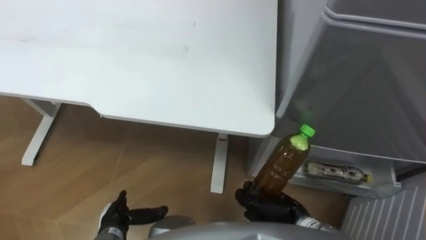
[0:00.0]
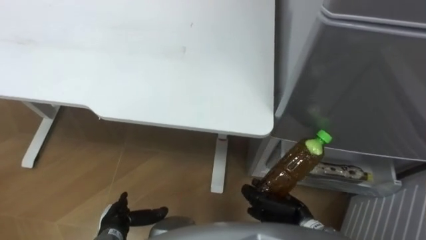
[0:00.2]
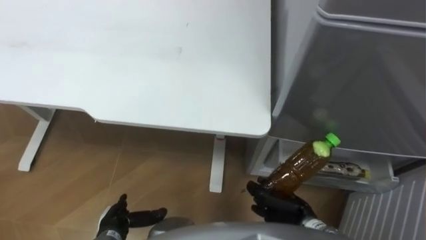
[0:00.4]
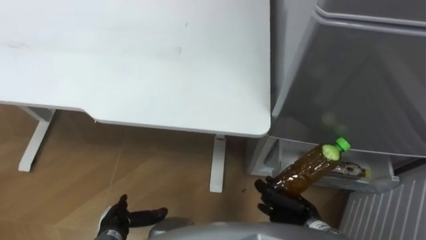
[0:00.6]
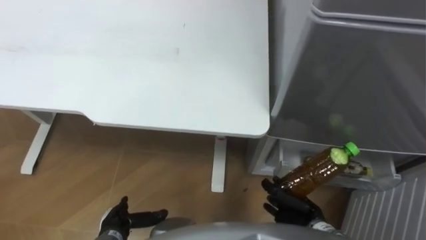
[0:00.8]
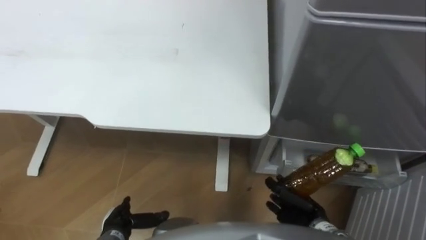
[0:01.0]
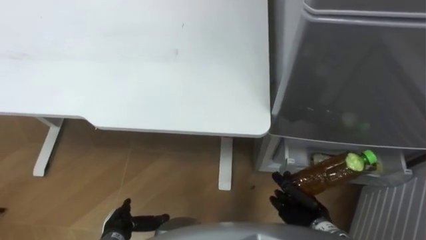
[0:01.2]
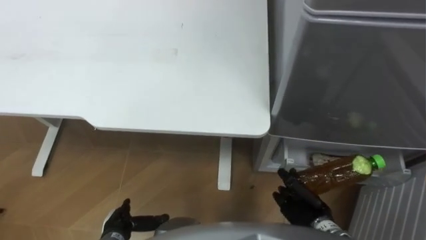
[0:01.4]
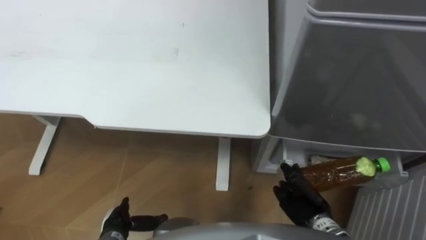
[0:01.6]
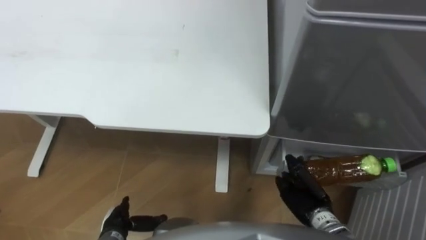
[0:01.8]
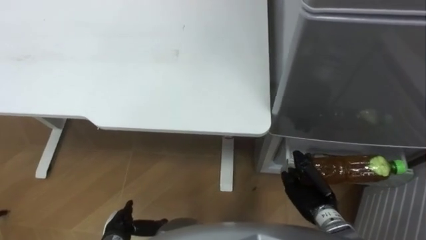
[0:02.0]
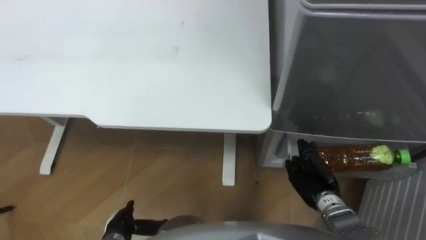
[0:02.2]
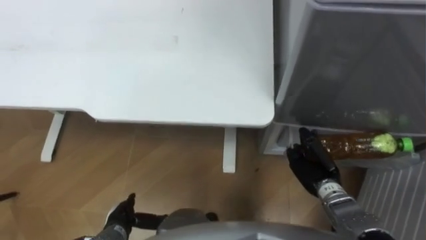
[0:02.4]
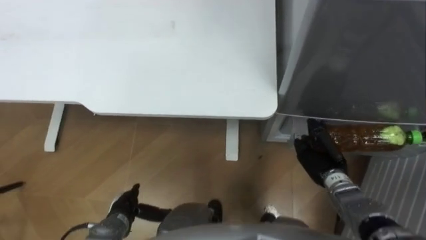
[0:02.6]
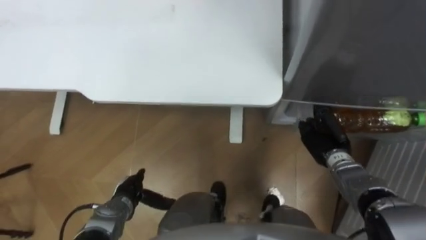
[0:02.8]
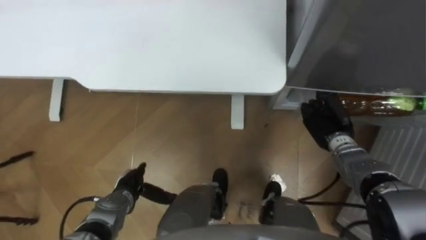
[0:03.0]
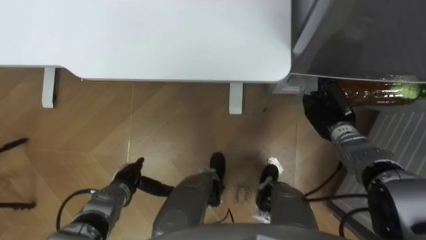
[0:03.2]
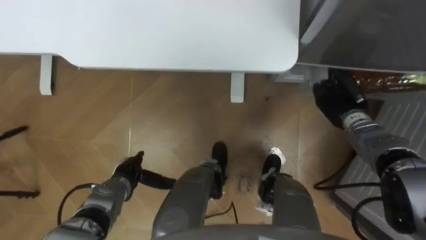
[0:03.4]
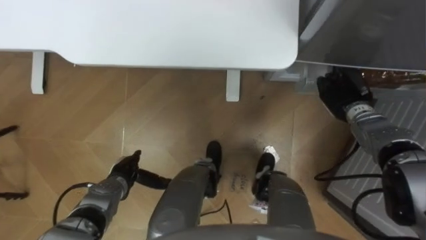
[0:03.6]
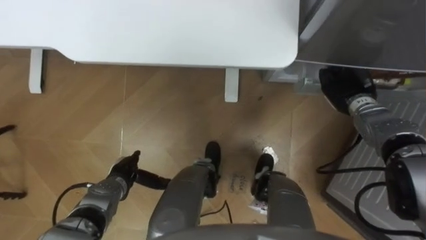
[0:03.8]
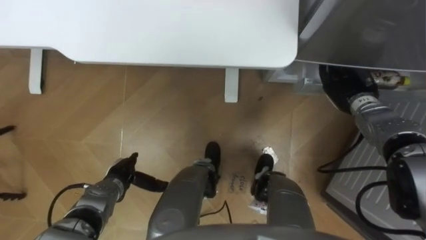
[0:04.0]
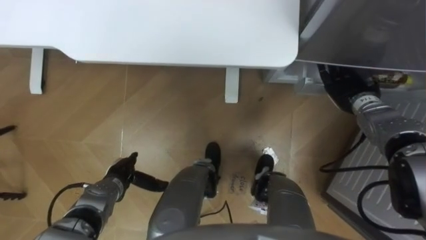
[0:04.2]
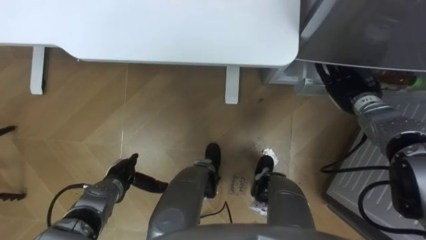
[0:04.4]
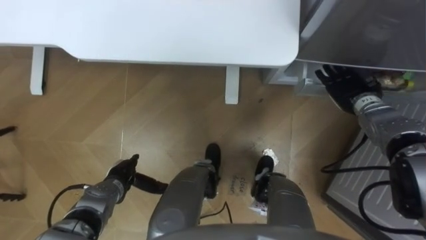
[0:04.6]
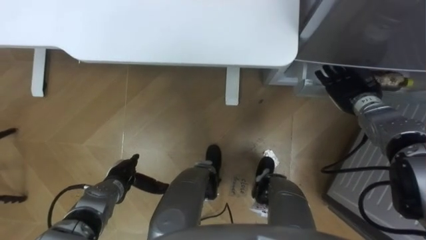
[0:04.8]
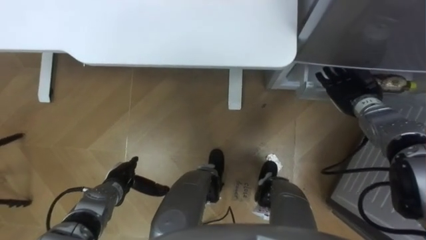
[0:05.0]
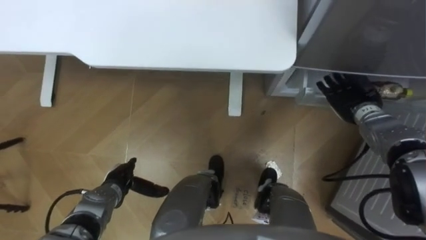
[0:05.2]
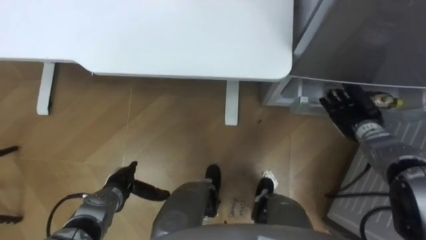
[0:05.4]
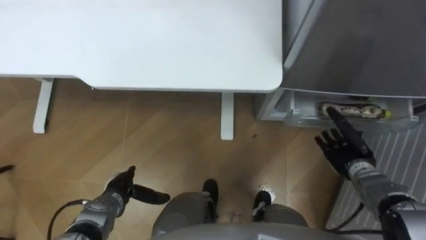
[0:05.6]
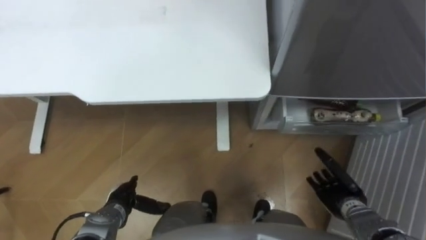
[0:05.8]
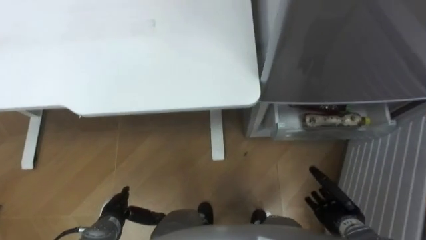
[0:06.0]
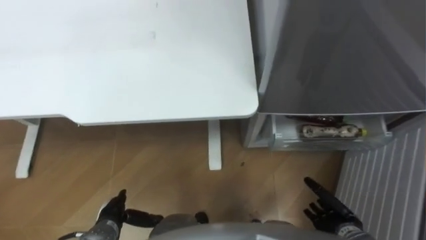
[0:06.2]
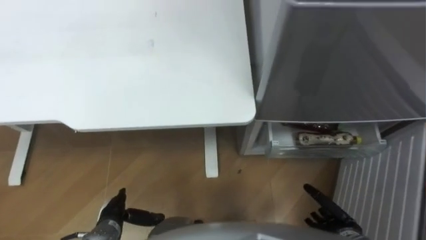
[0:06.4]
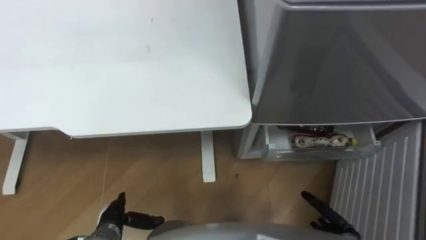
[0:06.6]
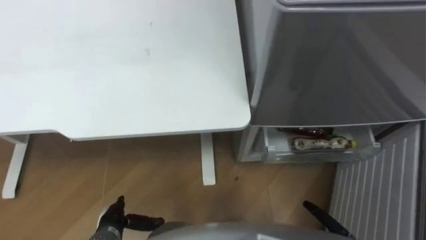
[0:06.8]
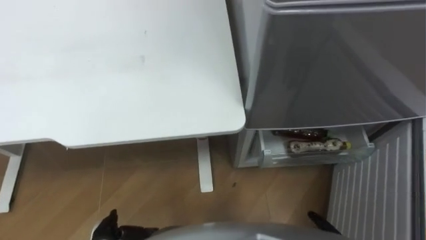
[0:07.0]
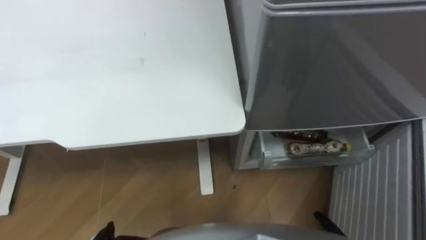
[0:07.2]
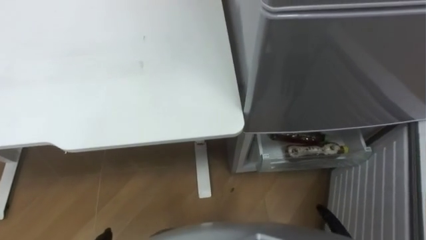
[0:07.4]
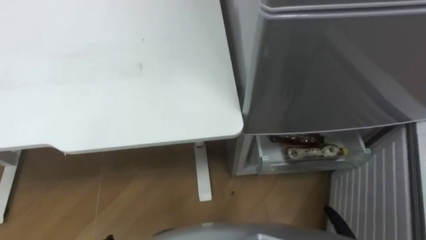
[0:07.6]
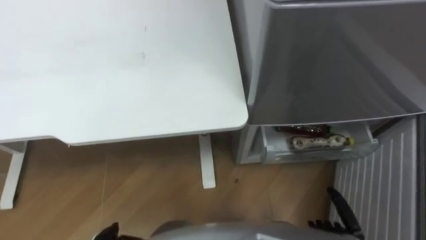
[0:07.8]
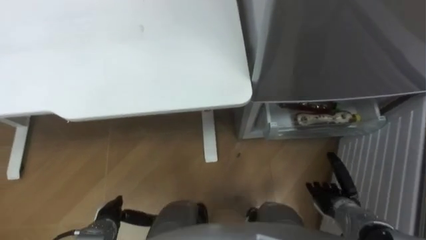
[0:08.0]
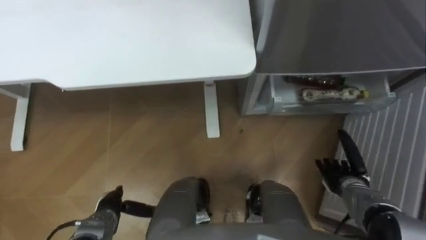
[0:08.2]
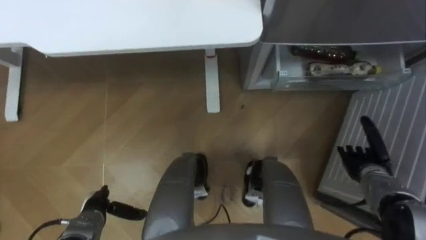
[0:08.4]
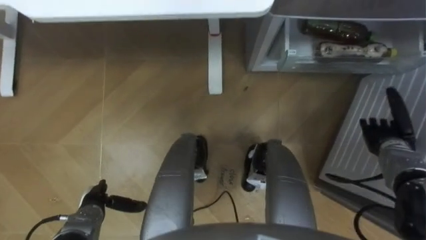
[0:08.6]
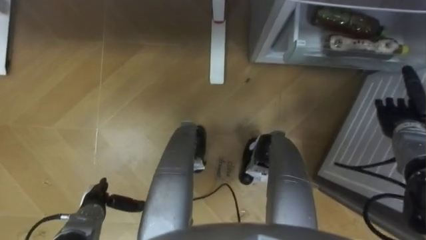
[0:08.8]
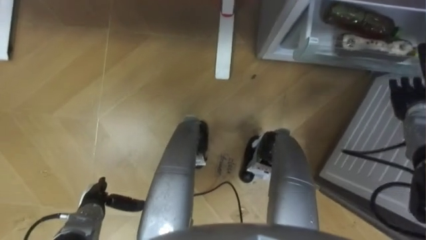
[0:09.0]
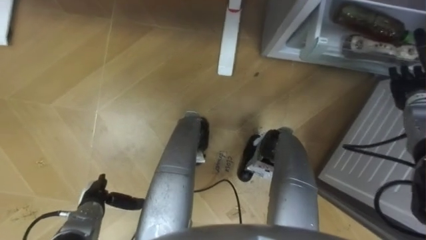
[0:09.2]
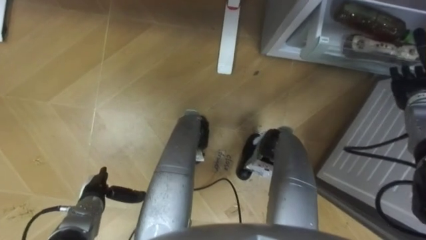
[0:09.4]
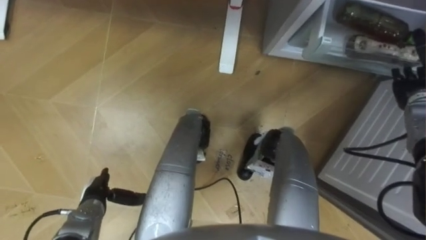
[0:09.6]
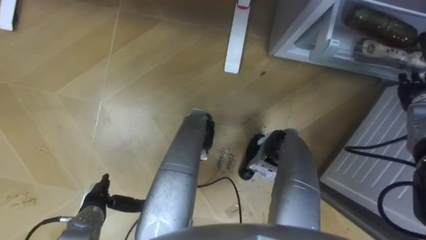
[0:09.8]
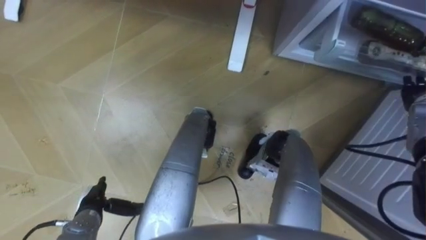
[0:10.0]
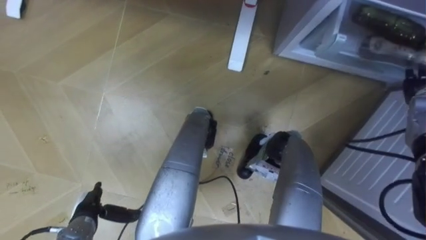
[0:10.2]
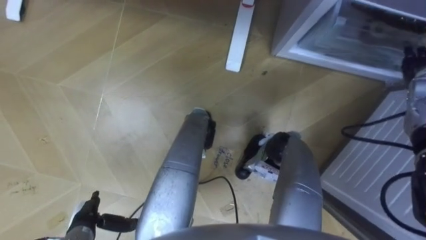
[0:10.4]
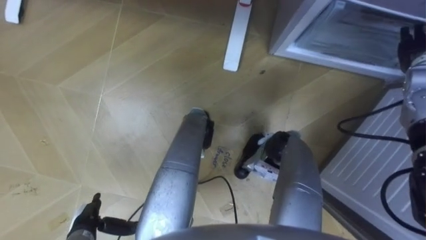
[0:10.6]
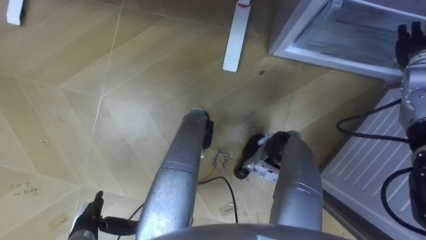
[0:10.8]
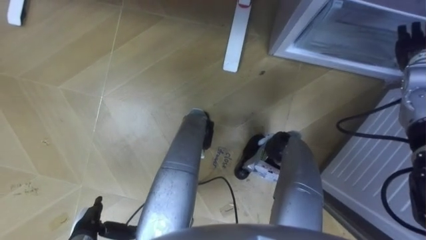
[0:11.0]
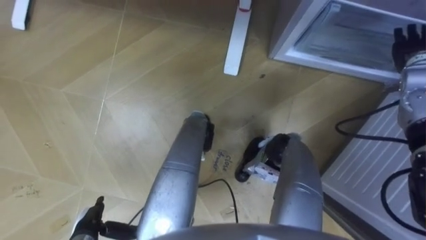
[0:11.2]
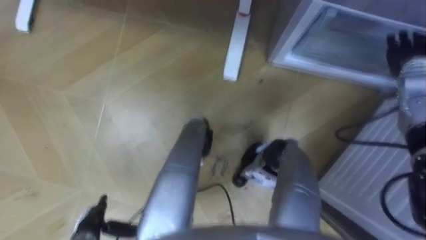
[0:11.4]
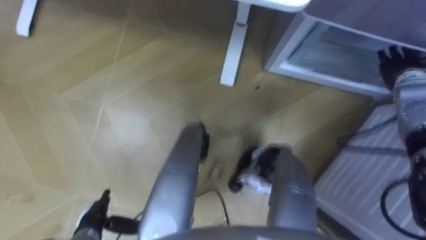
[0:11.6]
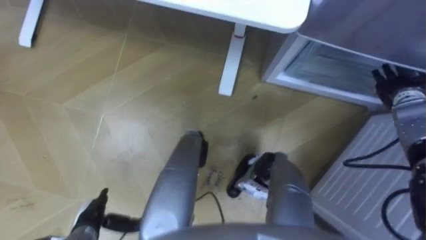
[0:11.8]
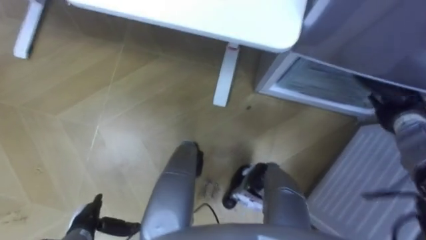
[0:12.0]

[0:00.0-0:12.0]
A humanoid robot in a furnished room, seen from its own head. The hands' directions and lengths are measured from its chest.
Task of the whole recording: Place the drink on the table on the bottom shelf of the refrigerator, then close the drawer and the refrigerator door.
0:00.0 to 0:01.6: The right hand goes about 5 cm to the right.
0:01.6 to 0:03.0: The right hand is displaced forward by roughly 15 cm, while the left hand travels forward by approximately 10 cm.
0:03.0 to 0:04.4: The right hand goes about 10 cm forward and upward, and opens its fingers.
0:04.4 to 0:06.0: The right hand goes approximately 30 cm backward and downward, while the left hand travels backward by about 5 cm.
0:09.0 to 0:10.4: The right hand travels upward by some 5 cm.
0:10.4 to 0:12.0: The right hand shifts some 5 cm downward.

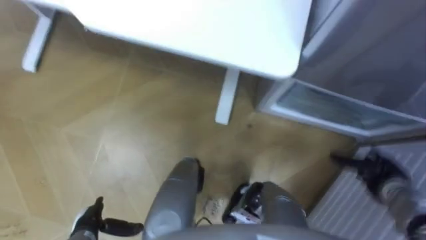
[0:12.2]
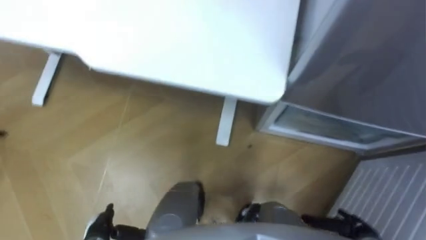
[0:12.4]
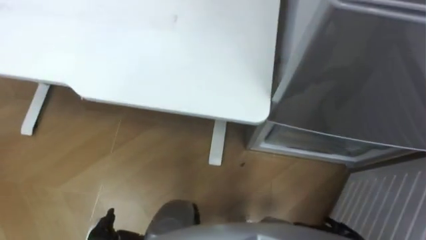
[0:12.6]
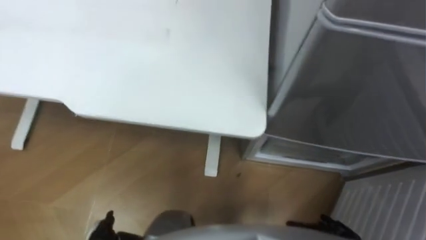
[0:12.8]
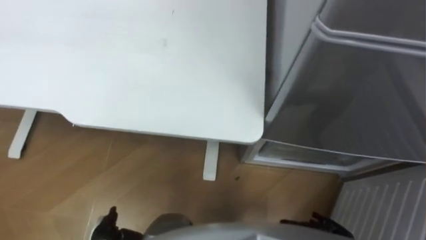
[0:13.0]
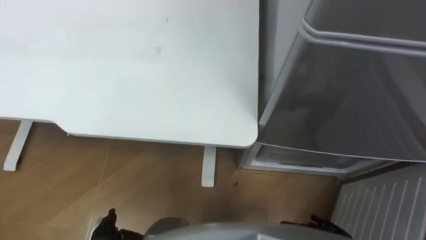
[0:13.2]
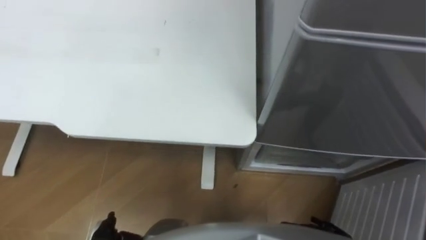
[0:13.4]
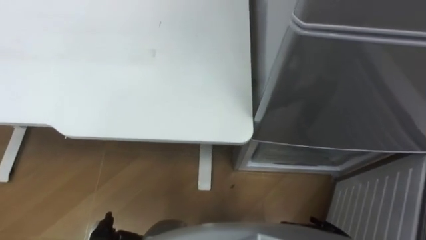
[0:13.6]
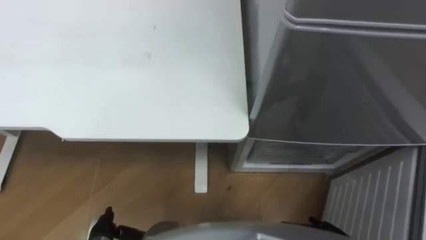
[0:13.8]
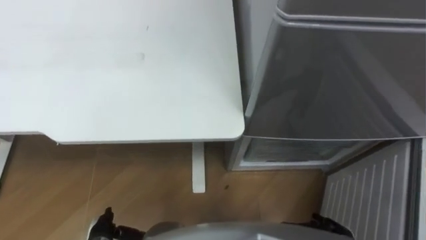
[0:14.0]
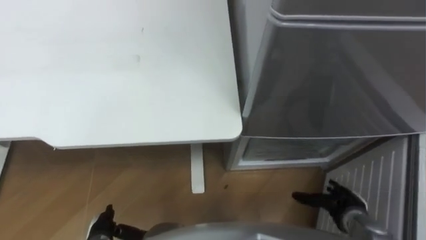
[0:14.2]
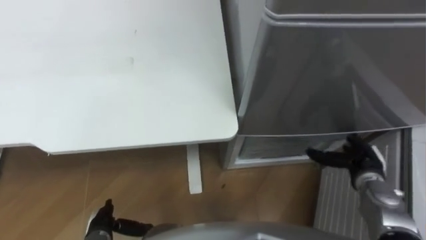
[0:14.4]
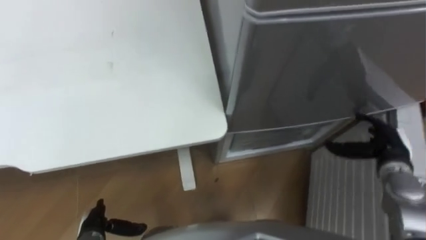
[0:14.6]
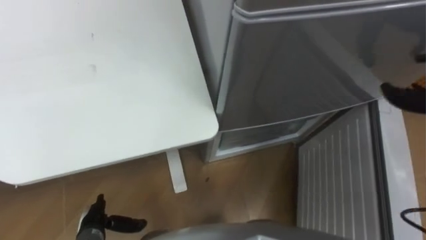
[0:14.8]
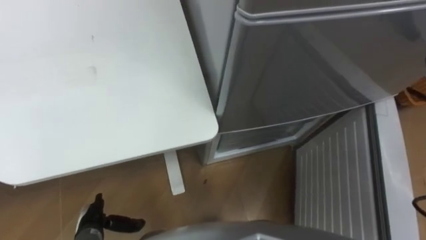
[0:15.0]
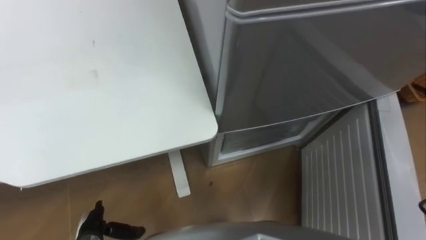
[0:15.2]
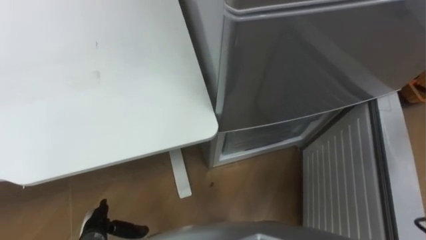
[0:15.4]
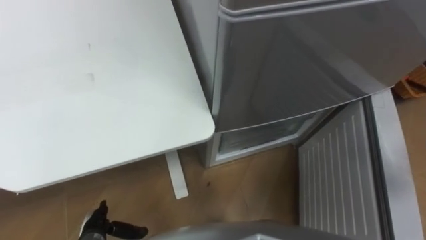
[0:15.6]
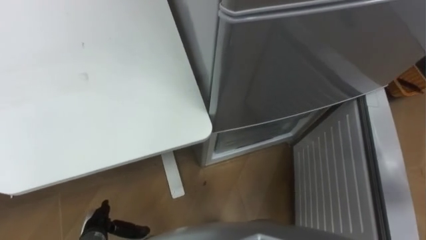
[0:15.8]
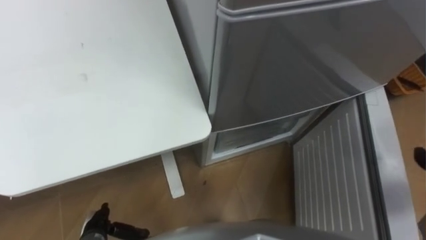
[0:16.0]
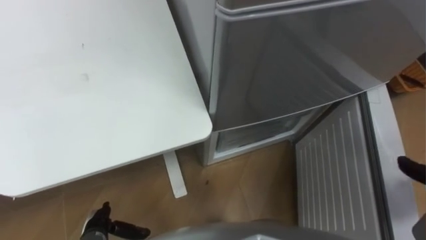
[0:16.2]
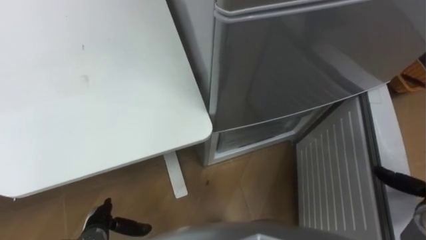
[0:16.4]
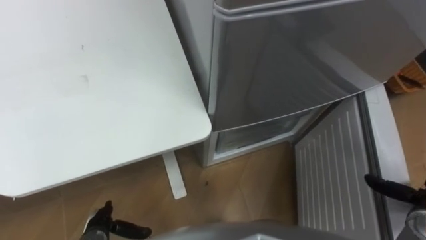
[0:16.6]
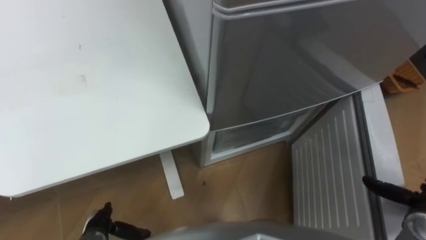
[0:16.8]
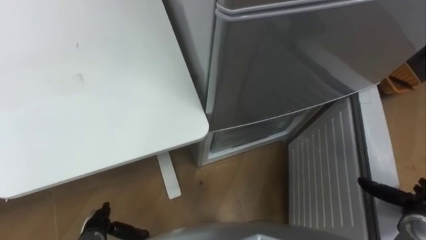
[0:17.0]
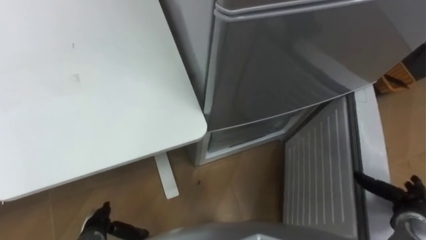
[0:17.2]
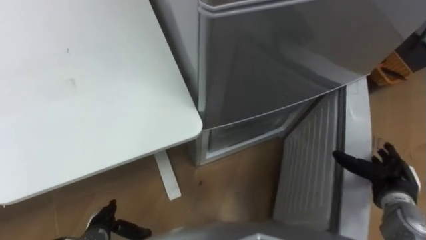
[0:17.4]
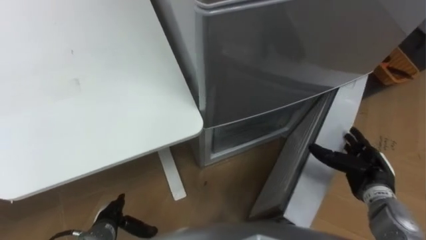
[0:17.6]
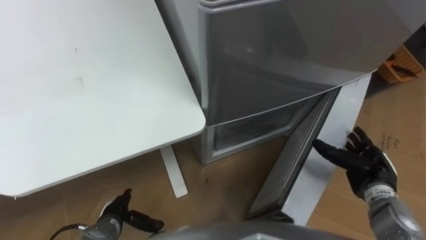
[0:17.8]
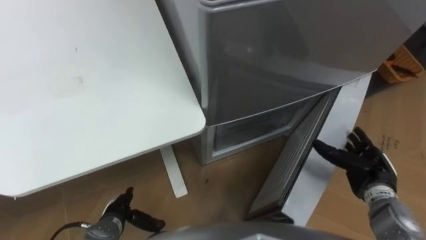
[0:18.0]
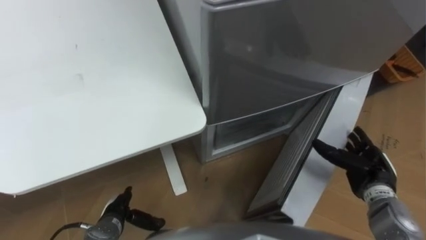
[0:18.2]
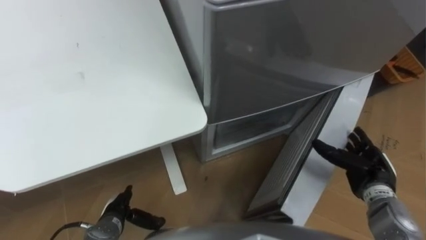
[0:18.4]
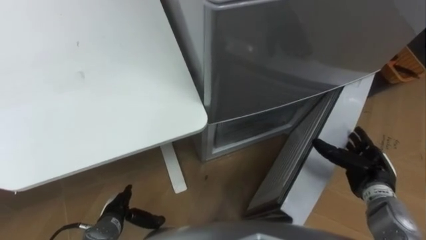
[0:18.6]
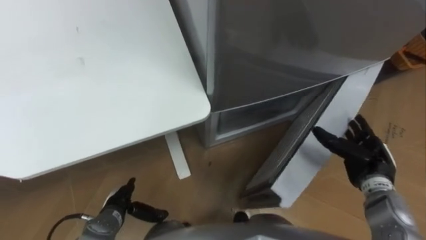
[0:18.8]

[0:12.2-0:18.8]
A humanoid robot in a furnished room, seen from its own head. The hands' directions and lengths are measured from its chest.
Task of the whole recording: Place the drink on the table on the bottom shelf of the refrigerator, then close the drawer and the refrigerator door.
0:17.2 to 0:18.8: The right hand moves to the left and forward, some 15 cm. The left hand shifts by about 5 cm.
